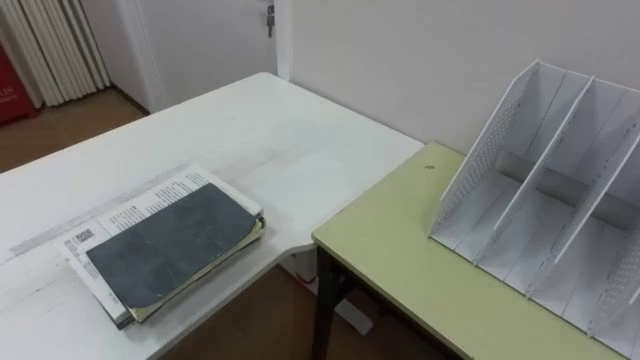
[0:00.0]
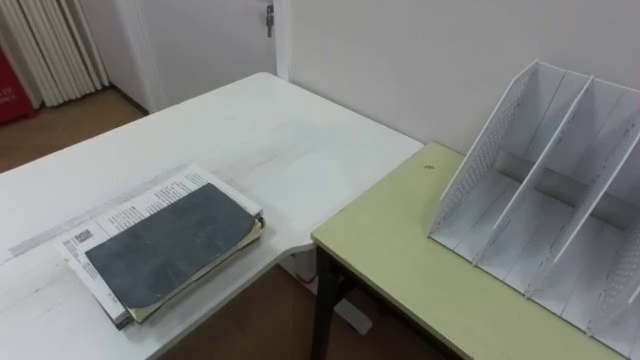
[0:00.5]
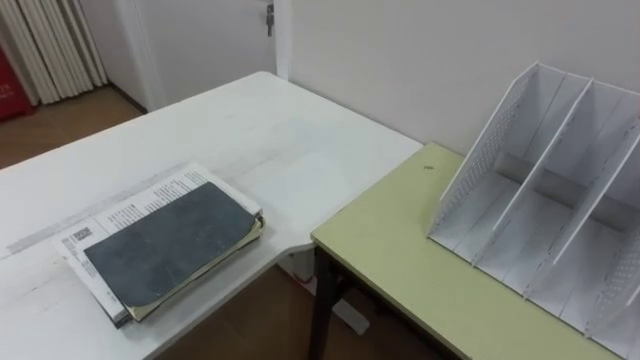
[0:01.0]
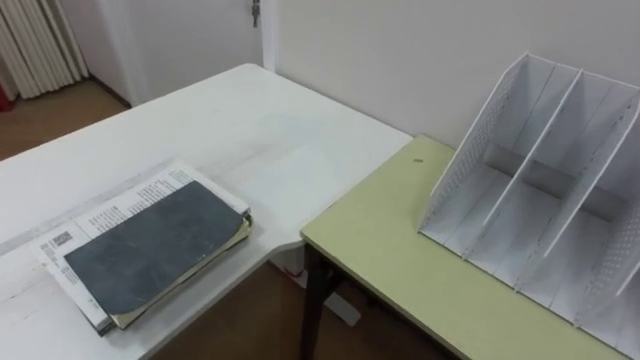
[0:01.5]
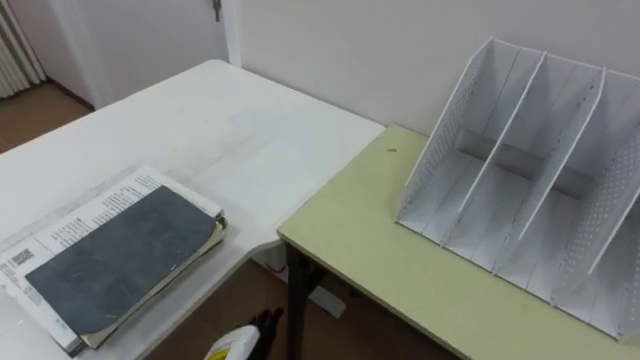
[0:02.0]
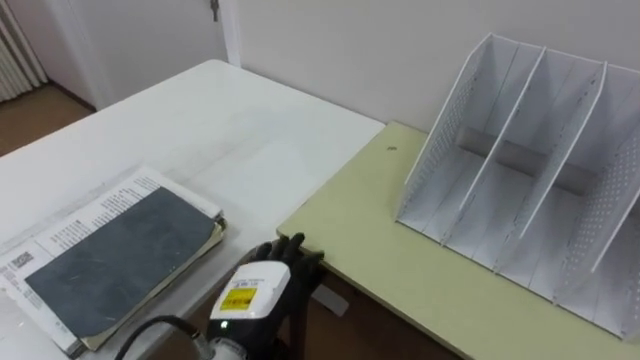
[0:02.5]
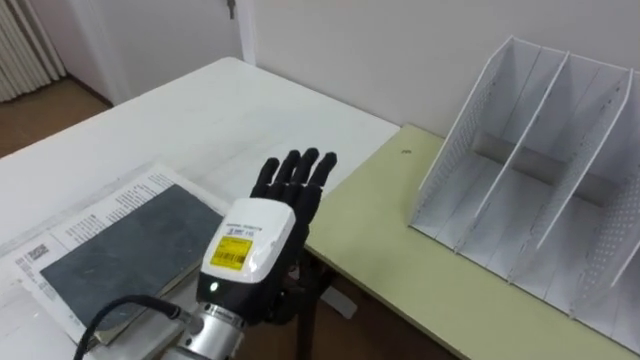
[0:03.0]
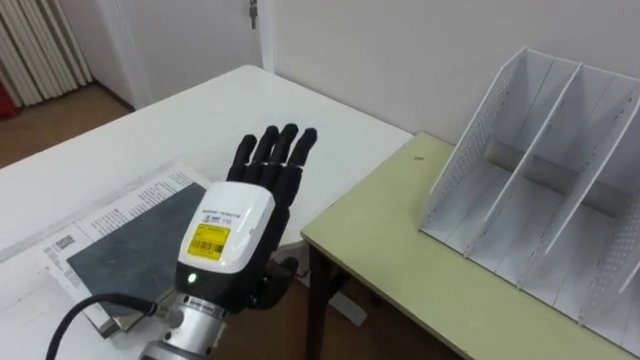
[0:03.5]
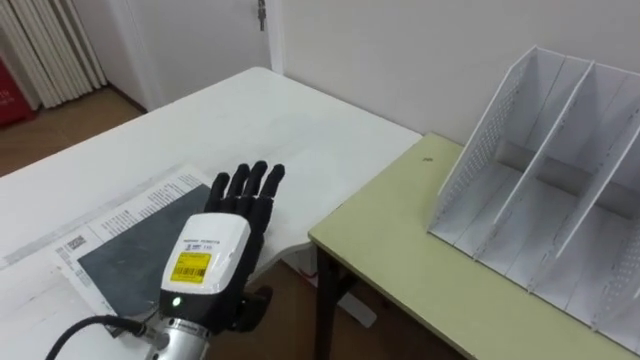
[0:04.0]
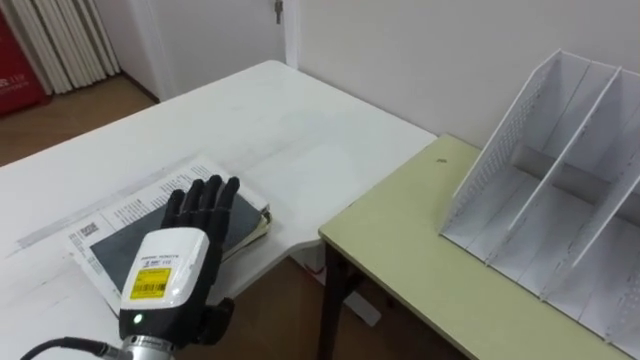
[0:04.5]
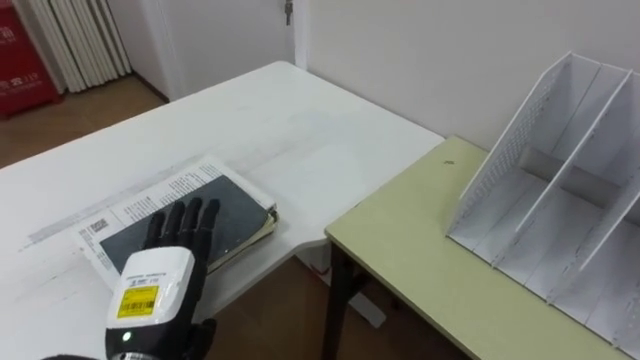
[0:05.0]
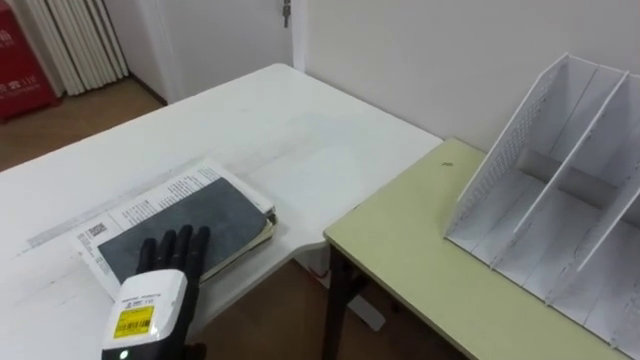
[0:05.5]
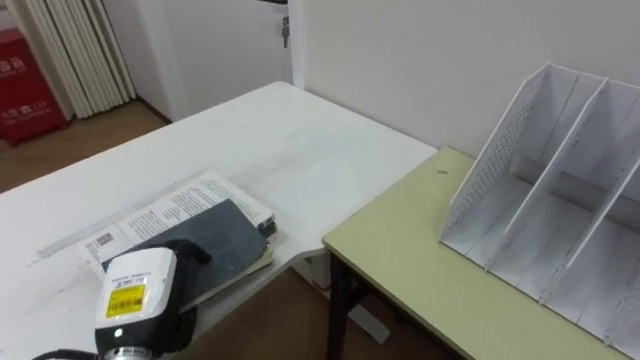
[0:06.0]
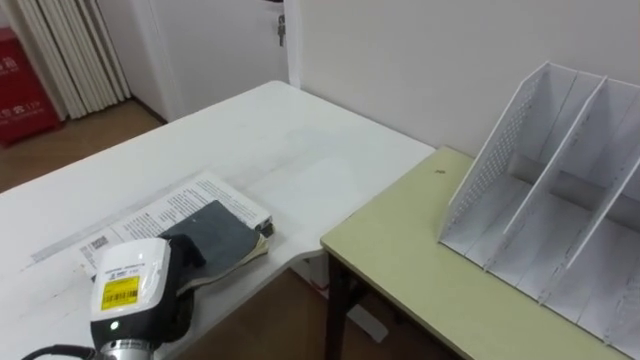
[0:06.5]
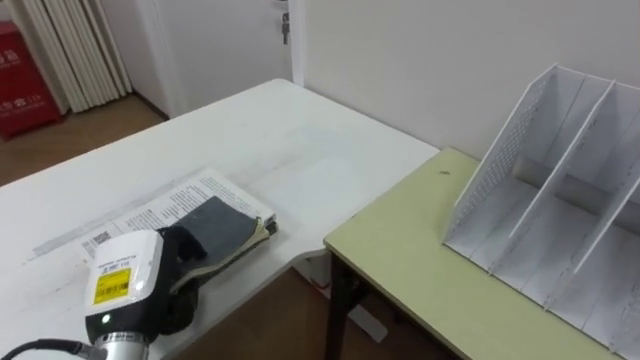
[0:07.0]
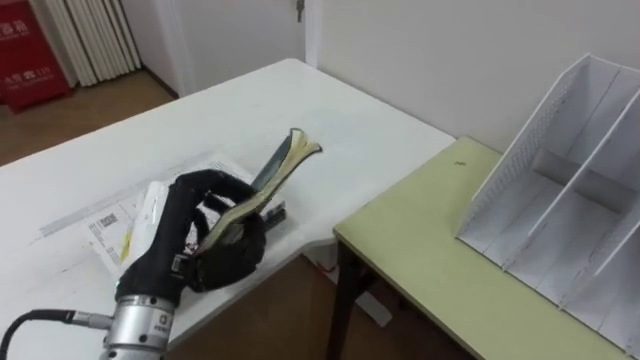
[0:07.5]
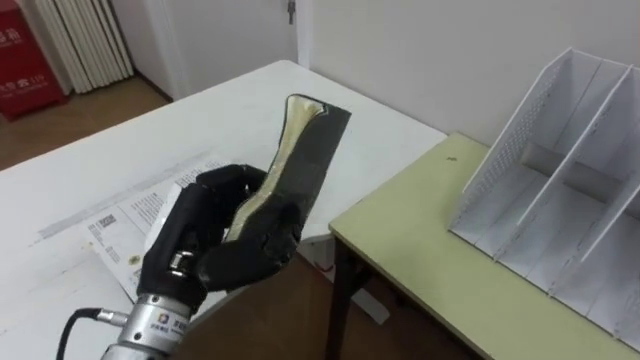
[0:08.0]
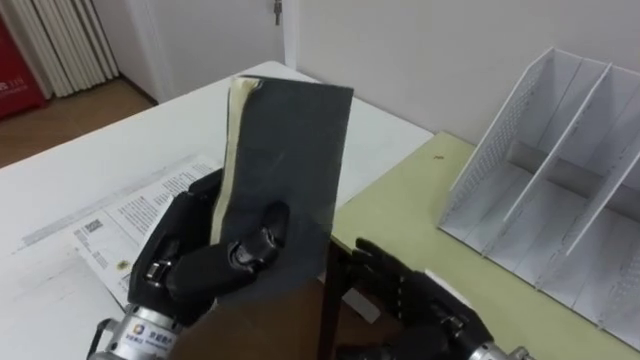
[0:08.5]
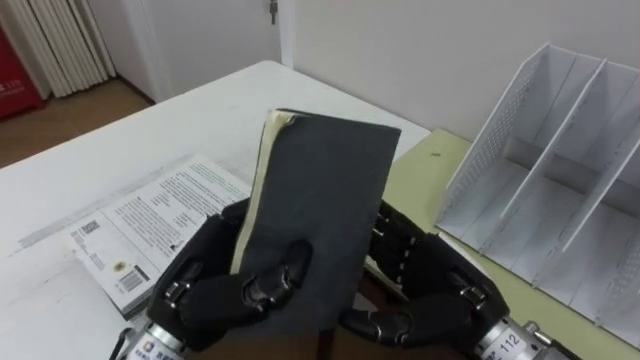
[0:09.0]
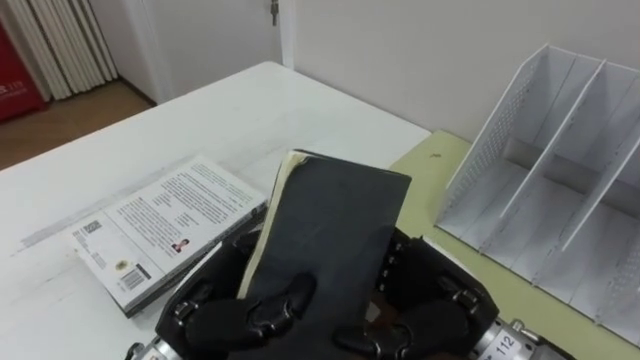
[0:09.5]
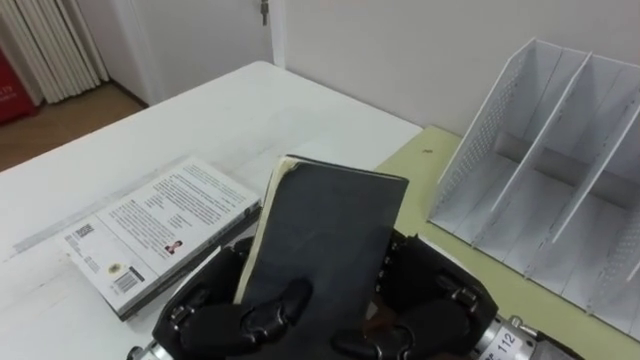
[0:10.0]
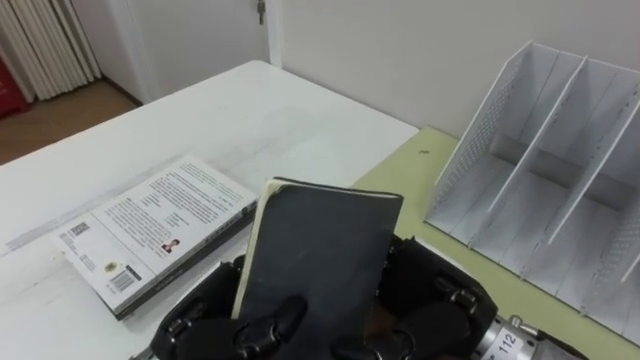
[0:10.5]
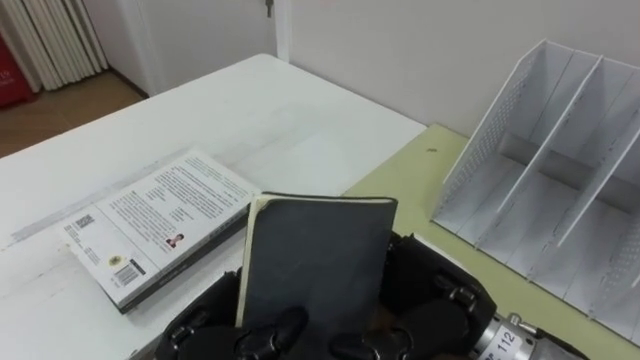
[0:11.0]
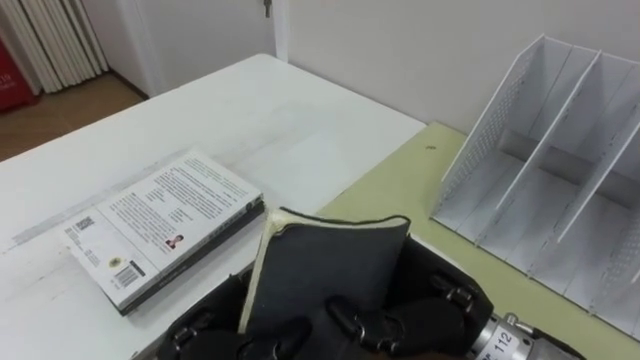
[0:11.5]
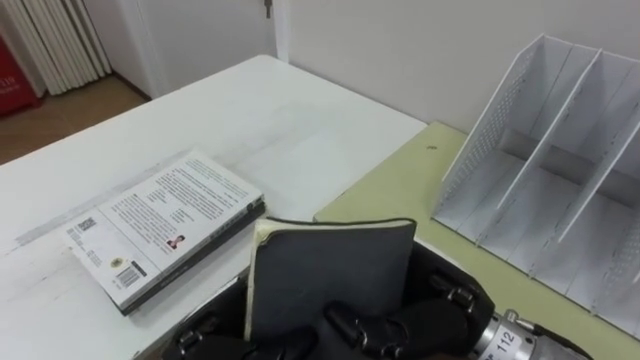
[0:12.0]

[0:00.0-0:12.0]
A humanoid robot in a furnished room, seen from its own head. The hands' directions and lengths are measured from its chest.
Task of the whole recording: Put the books on the table onto the bookshelf.
0:04.0 to 0:06.0: The left hand moves to the left and downward, about 10 cm, and closes.
0:06.0 to 0:08.0: The left hand moves upward and to the right, approximately 10 cm, and closes its fingers.
0:08.0 to 0:10.0: The left hand heads downward, covering about 5 cm.
0:10.0 to 0:12.0: The right hand closes its fingers.

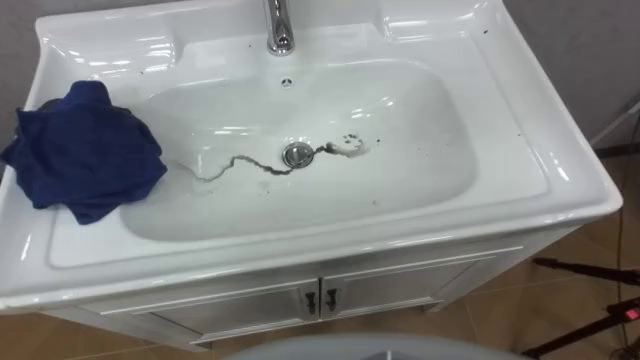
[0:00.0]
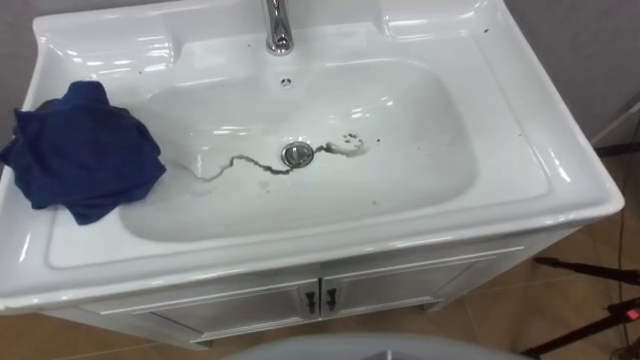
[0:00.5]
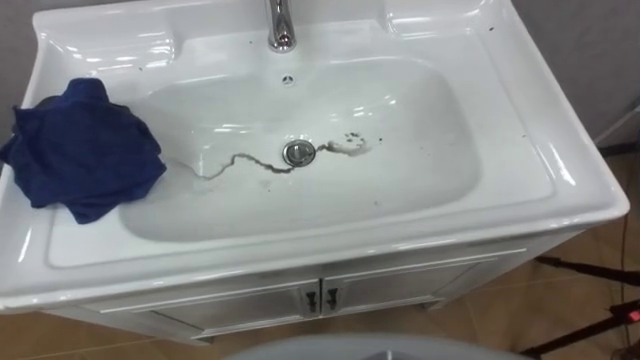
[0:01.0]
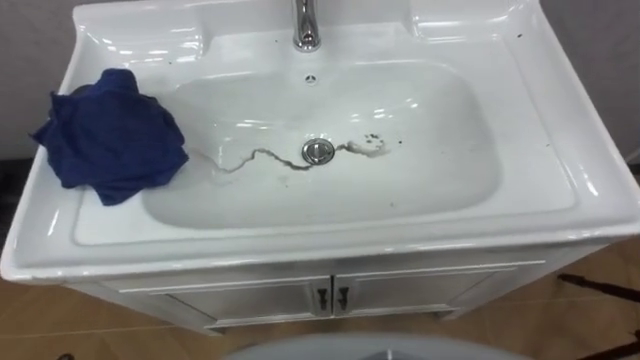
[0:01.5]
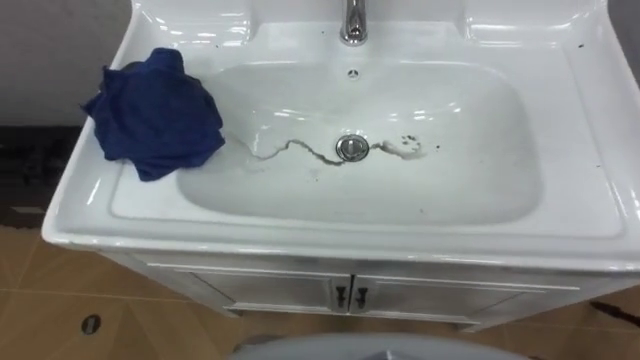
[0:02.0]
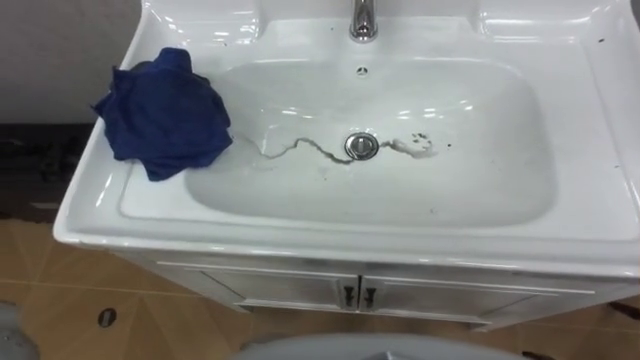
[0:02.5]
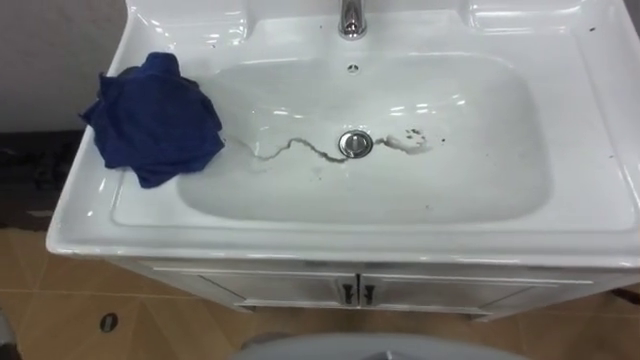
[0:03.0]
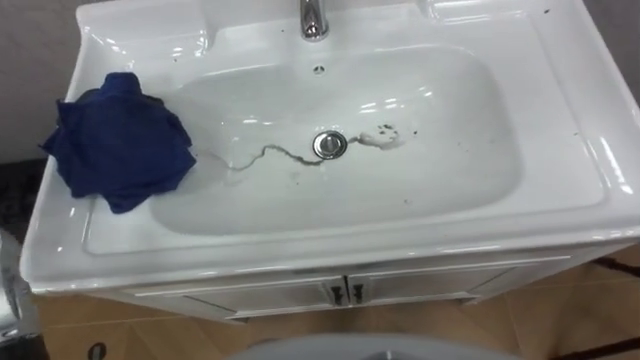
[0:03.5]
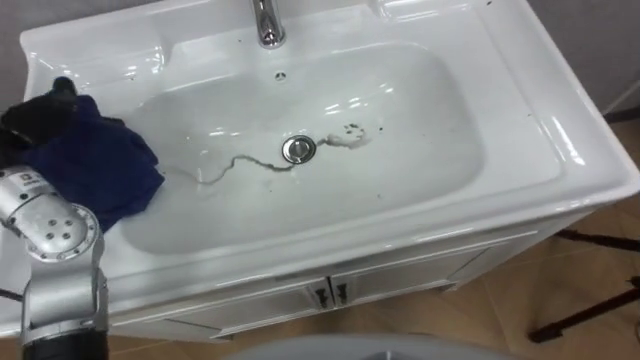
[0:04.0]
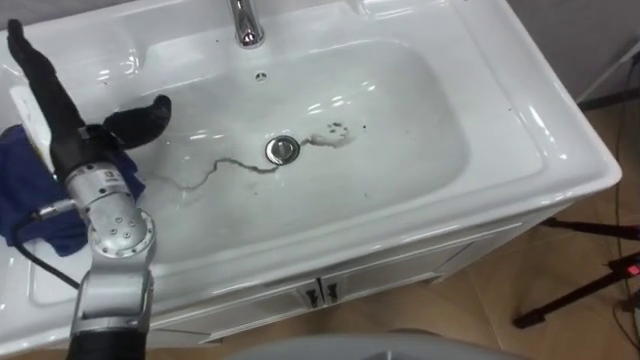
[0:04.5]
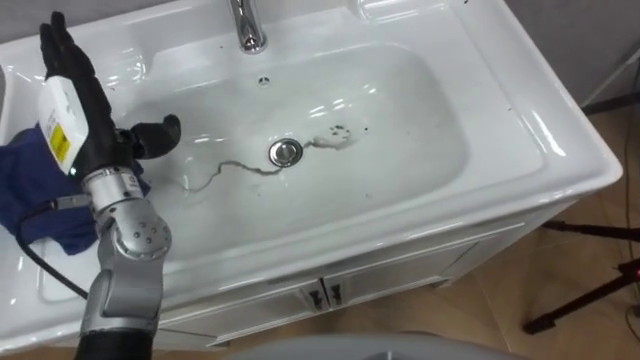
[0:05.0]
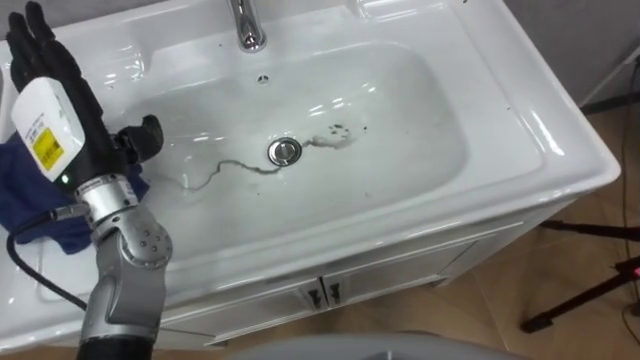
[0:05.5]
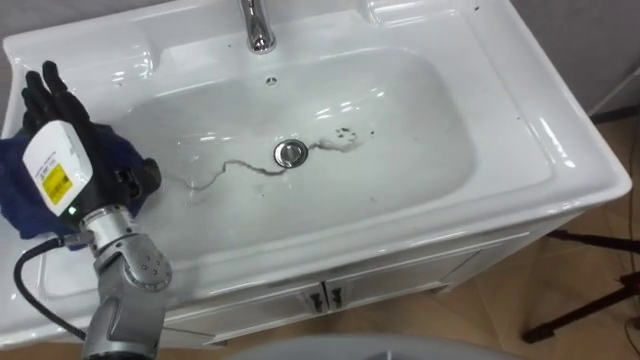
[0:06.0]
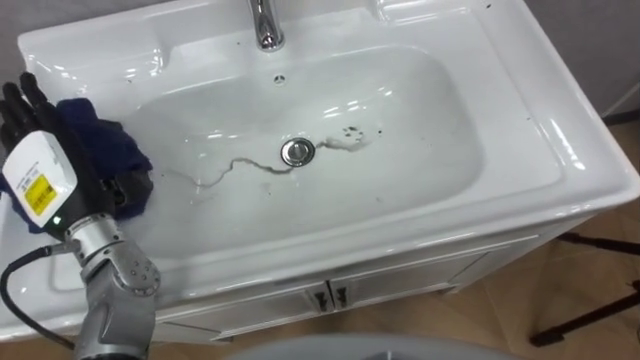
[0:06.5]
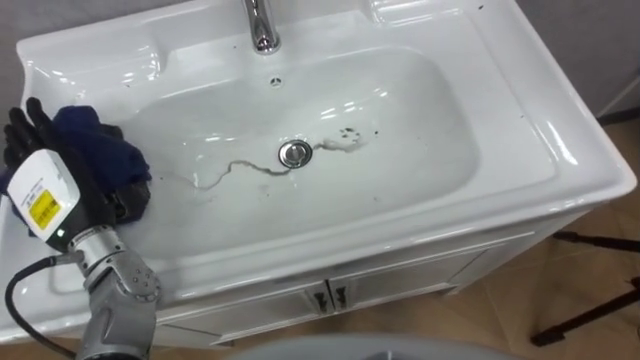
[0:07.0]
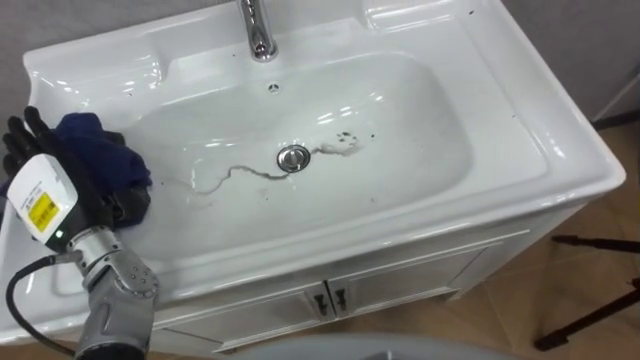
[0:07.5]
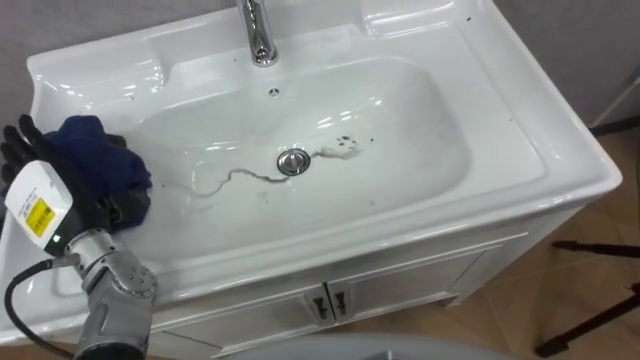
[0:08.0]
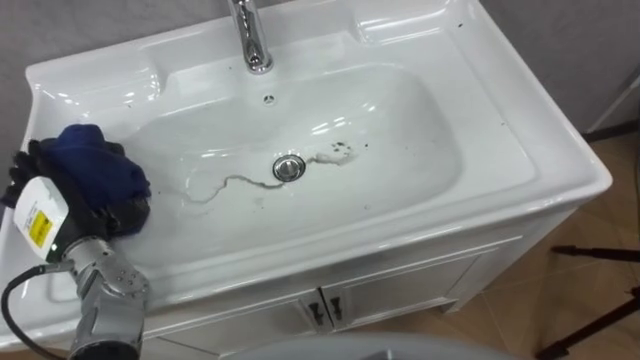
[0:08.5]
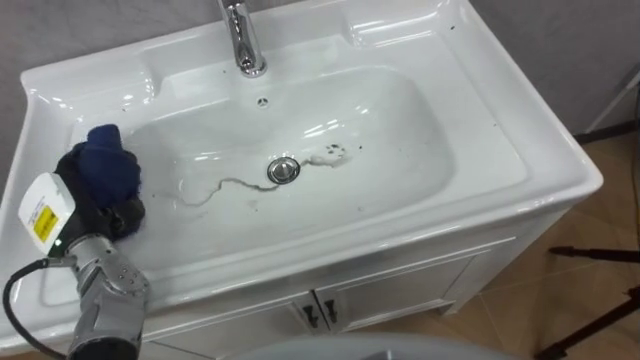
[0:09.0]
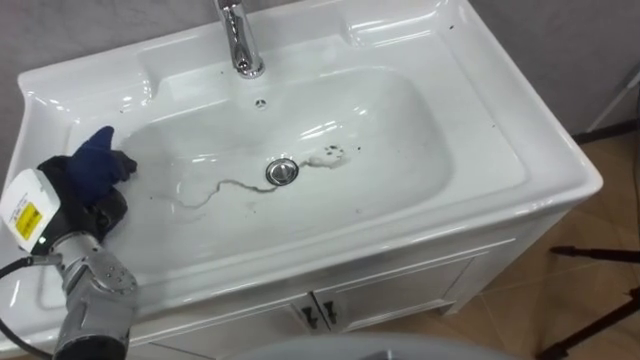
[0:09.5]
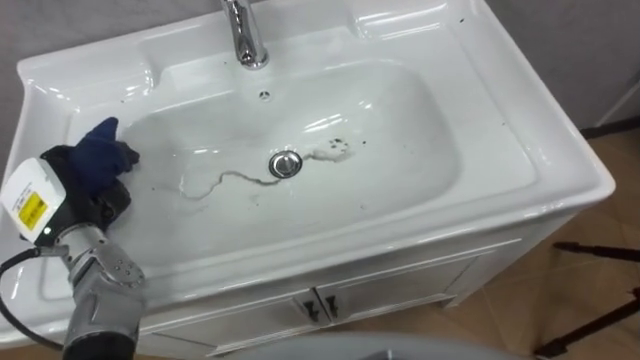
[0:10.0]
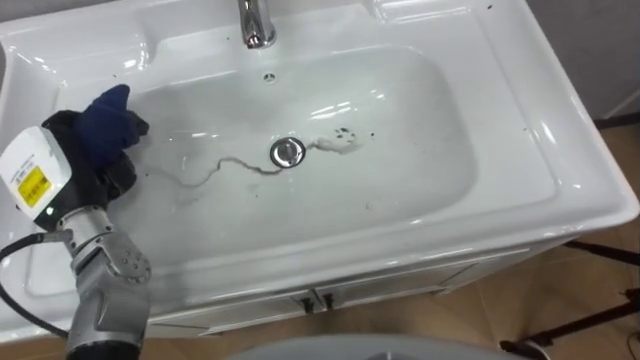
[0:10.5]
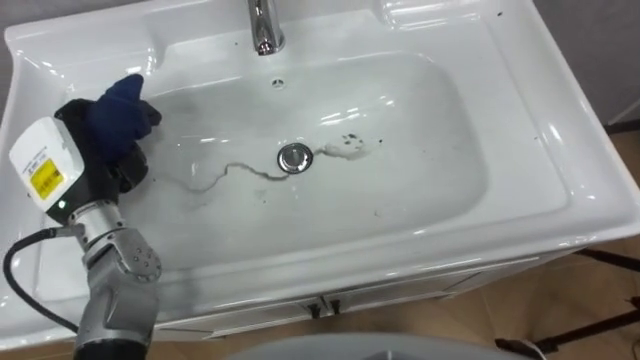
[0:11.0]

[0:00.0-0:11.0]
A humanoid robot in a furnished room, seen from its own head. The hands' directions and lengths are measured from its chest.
Task of the whole recording: Use the cloth on the right to wipe away the black stain in the sink.
0:05.5 to 0:07.5: The left hand goes approximately 10 cm downward.
0:07.5 to 0:09.0: The left hand closes its fingers.
0:09.0 to 0:11.0: The left hand heads upward, covering approximately 10 cm, and closes.
